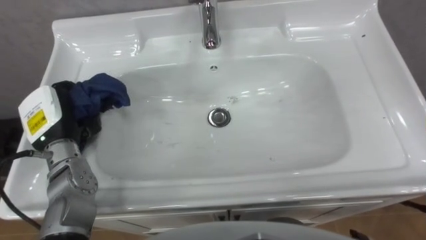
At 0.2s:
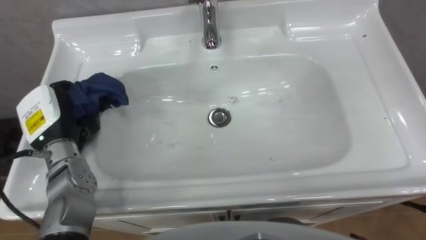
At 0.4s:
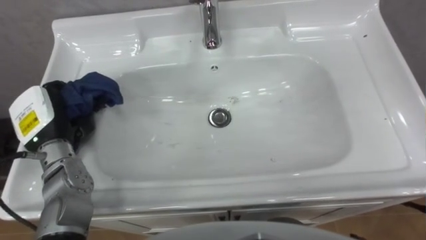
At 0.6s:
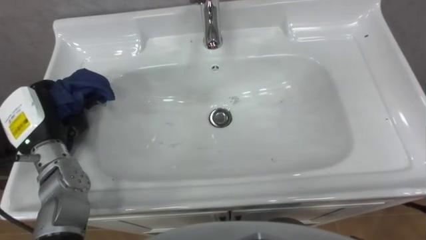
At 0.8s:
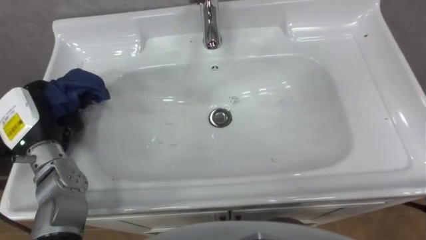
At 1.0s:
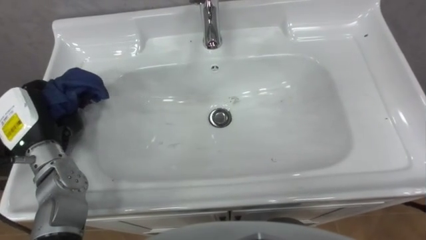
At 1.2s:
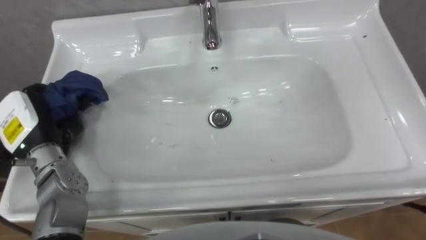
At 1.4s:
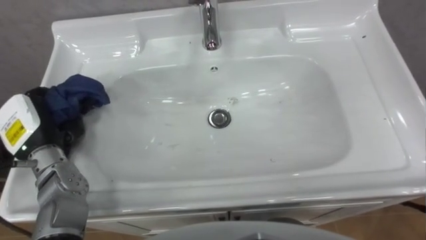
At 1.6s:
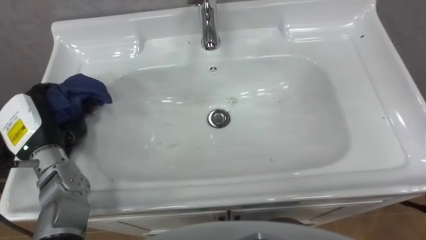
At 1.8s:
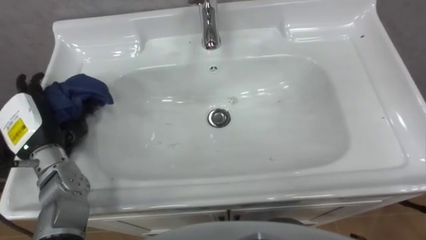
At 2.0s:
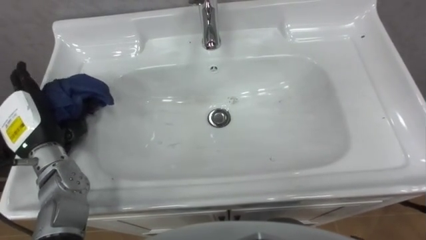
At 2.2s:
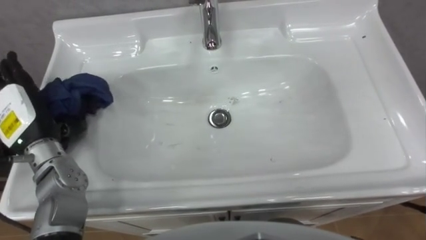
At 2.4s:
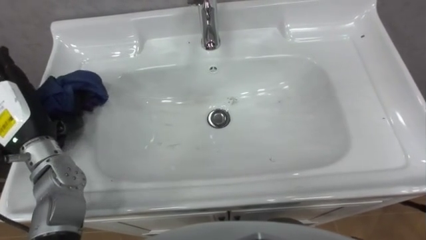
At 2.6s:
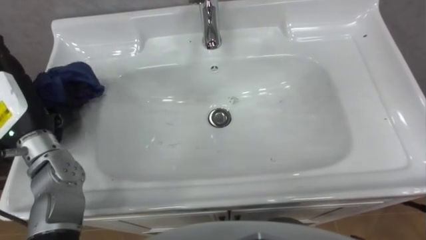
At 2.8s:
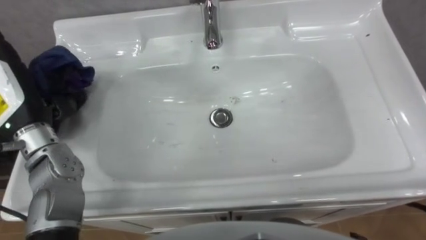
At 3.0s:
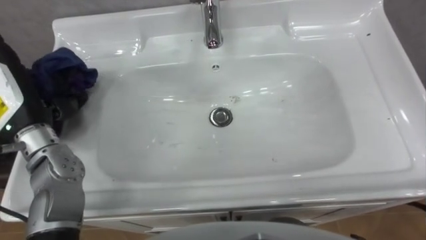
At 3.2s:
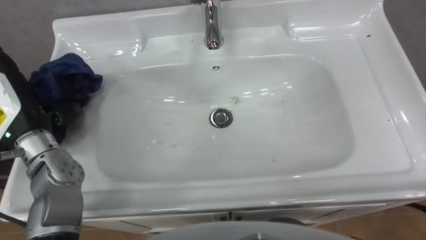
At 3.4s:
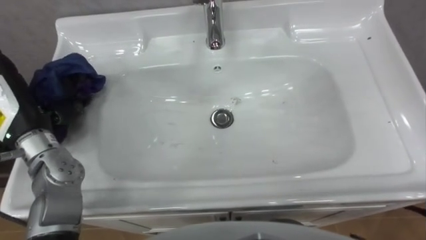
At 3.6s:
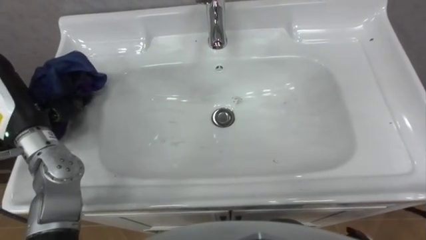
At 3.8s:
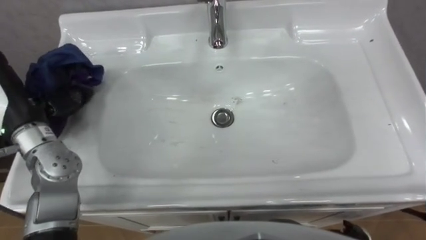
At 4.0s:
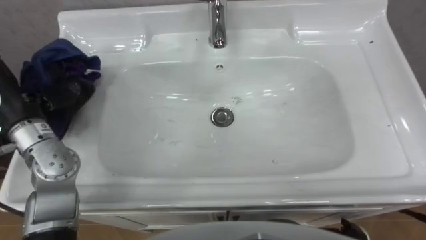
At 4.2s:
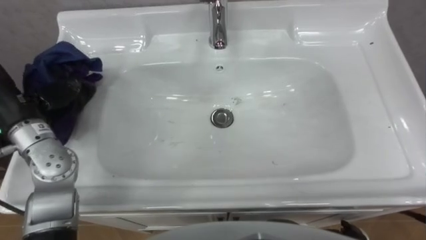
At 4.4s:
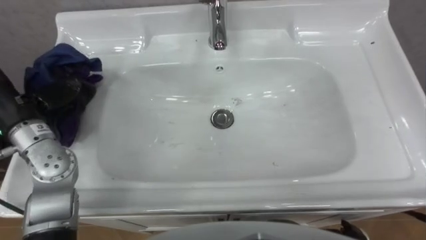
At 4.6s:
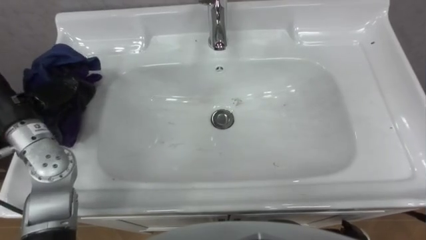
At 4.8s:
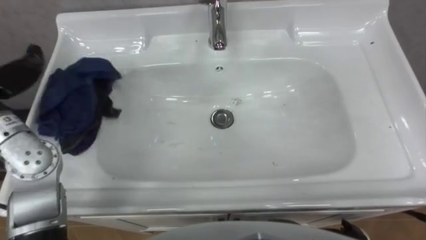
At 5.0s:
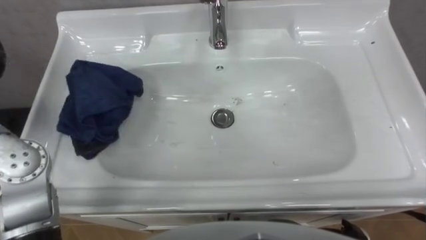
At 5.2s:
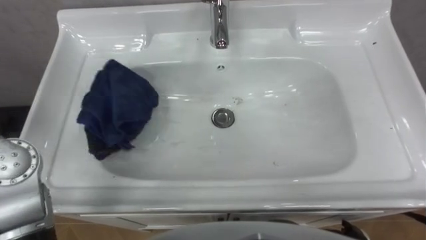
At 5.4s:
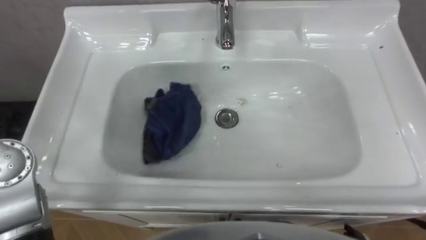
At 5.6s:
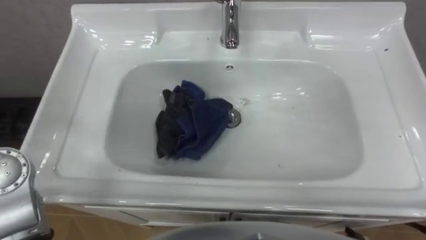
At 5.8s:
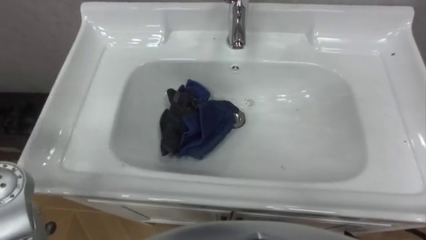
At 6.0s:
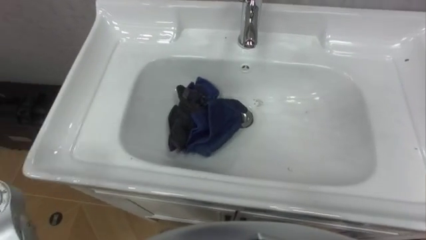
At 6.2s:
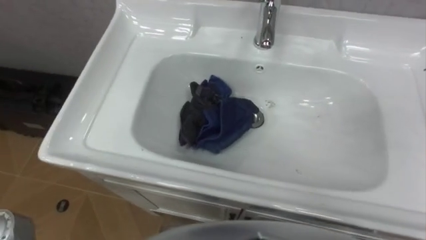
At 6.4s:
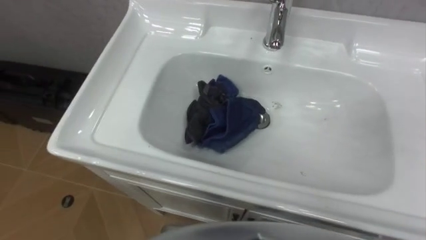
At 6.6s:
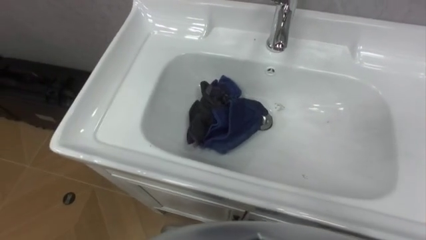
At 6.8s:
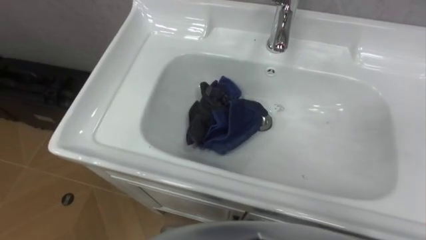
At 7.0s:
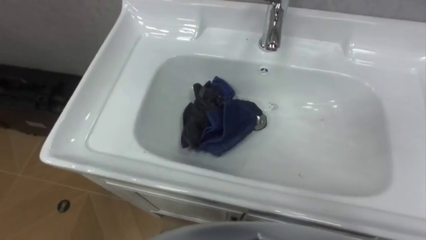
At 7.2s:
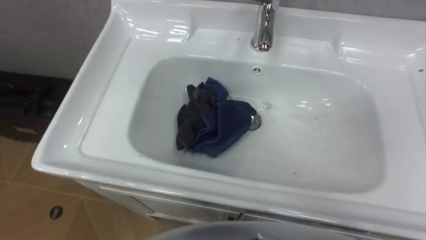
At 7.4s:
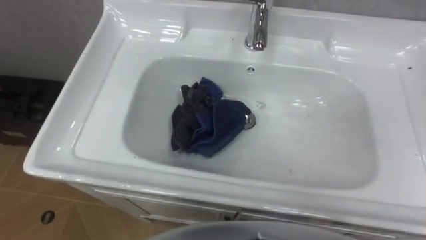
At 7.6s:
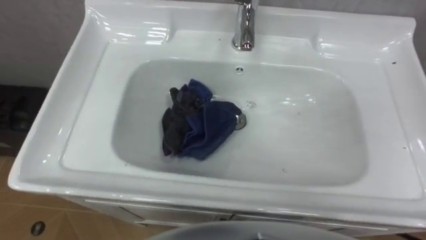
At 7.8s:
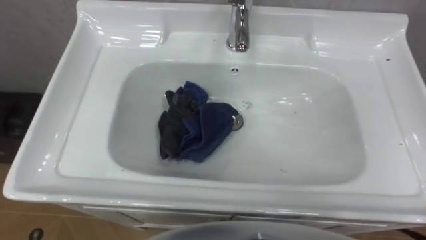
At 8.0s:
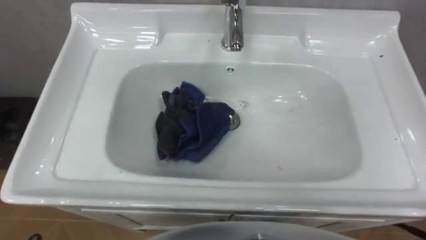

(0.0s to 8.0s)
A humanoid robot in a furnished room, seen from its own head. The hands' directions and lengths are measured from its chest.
Task of the whole recording: Use the cloth on the right to wipe away the black stain in the sink.
0.0s - 1.6s: The left hand opens its fingers.
1.6s - 3.2s: The left hand shifts approximately 5 cm upward, and opens.

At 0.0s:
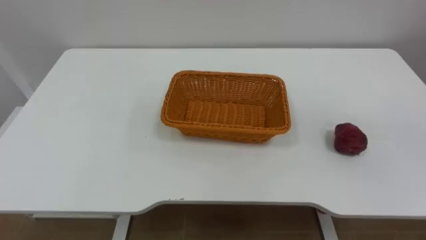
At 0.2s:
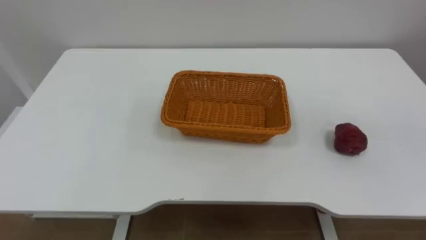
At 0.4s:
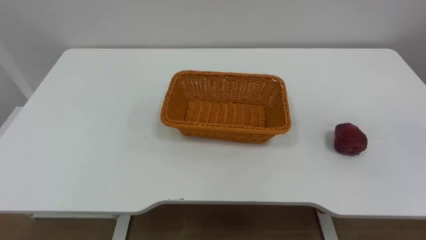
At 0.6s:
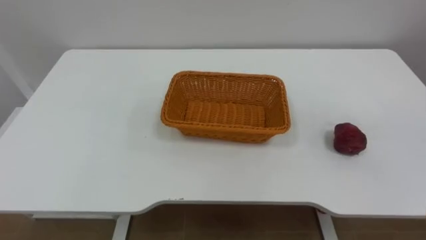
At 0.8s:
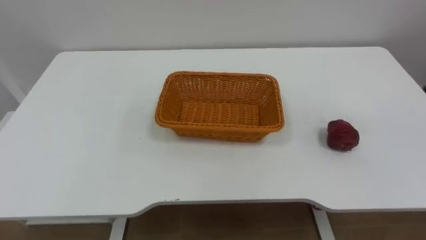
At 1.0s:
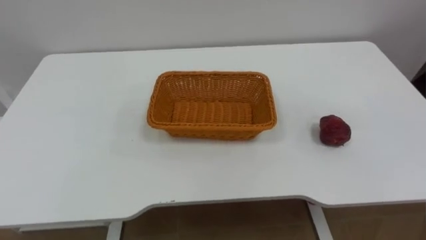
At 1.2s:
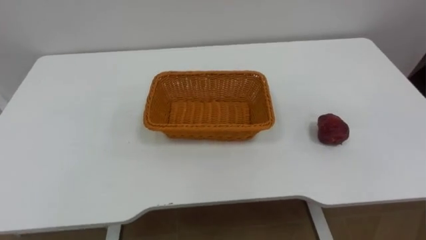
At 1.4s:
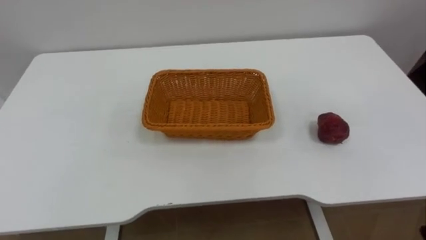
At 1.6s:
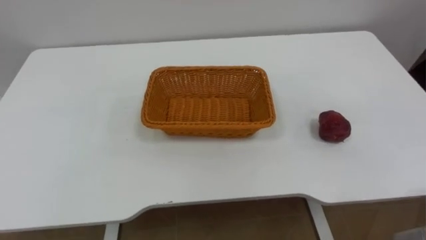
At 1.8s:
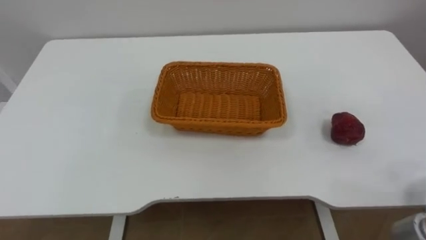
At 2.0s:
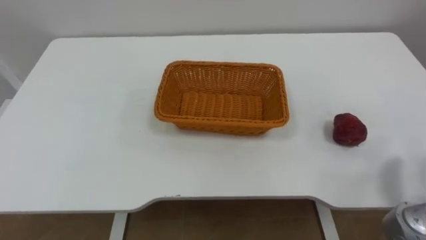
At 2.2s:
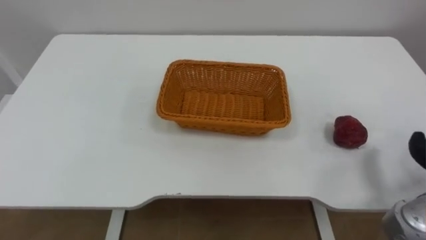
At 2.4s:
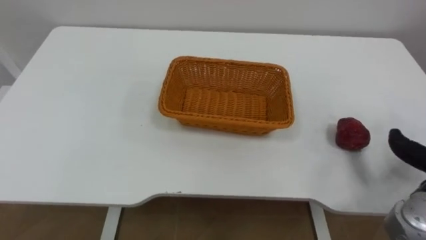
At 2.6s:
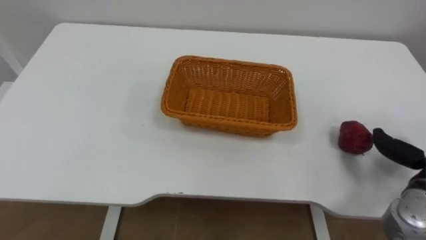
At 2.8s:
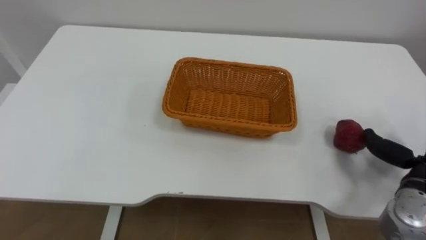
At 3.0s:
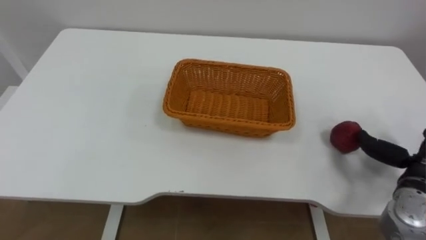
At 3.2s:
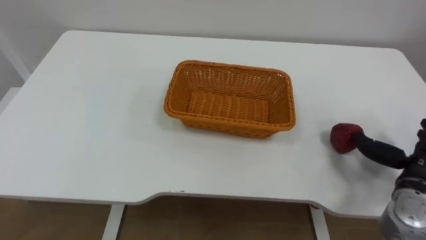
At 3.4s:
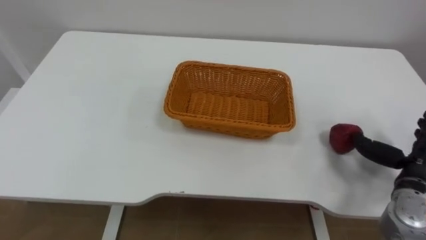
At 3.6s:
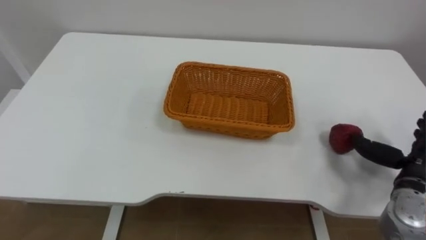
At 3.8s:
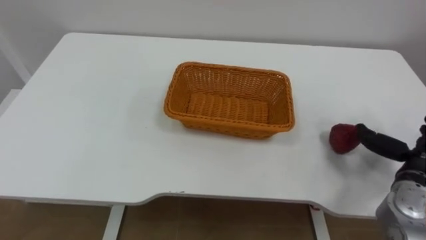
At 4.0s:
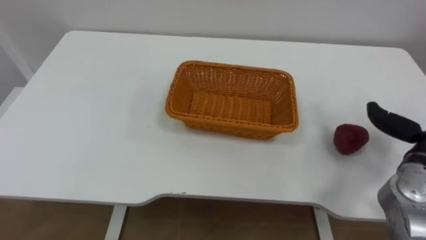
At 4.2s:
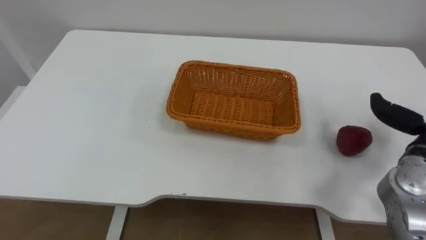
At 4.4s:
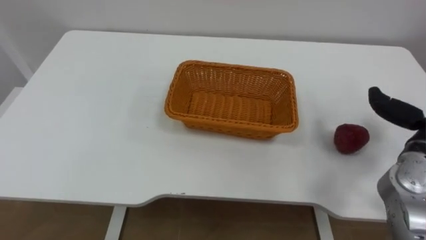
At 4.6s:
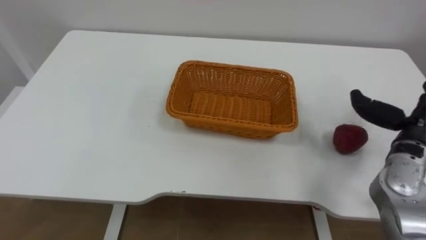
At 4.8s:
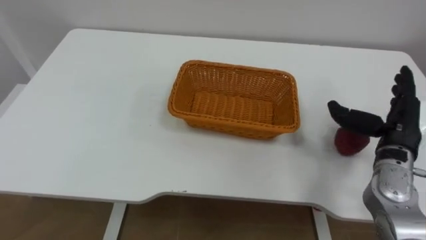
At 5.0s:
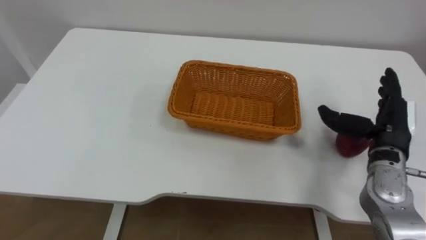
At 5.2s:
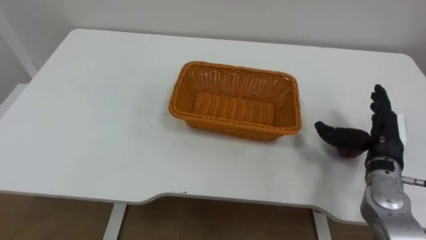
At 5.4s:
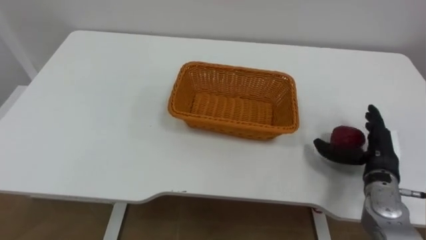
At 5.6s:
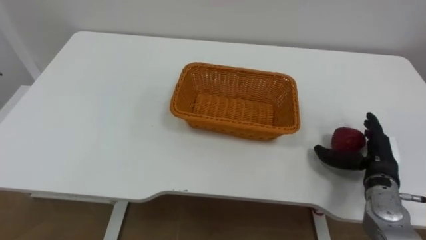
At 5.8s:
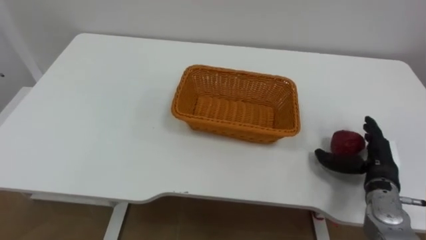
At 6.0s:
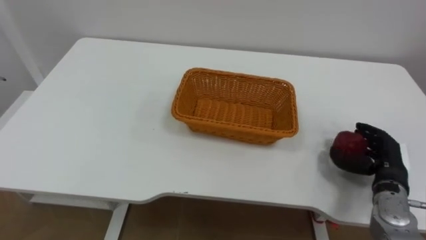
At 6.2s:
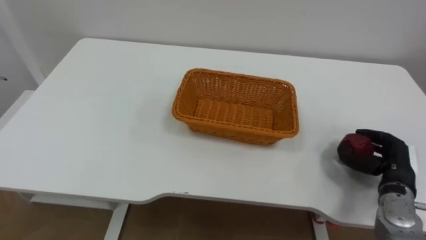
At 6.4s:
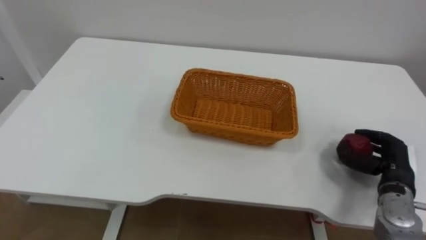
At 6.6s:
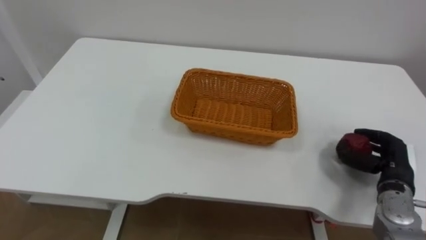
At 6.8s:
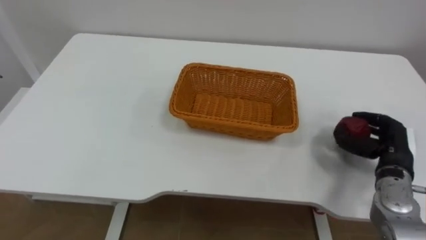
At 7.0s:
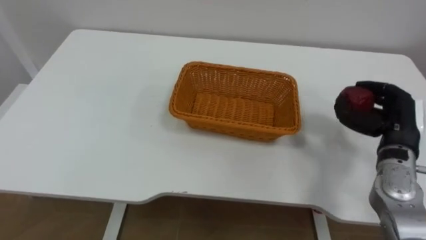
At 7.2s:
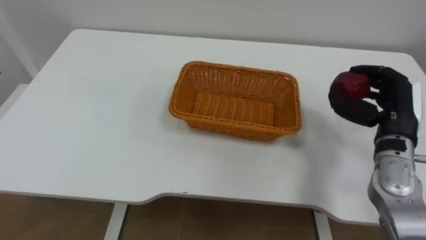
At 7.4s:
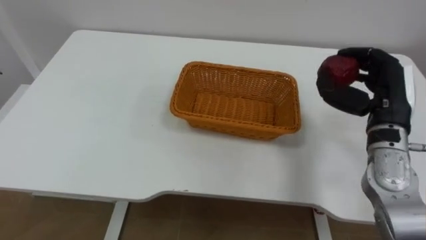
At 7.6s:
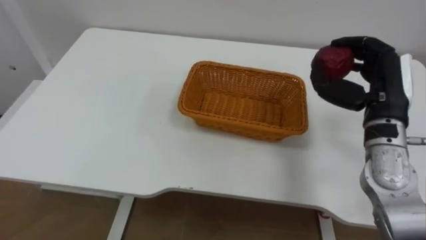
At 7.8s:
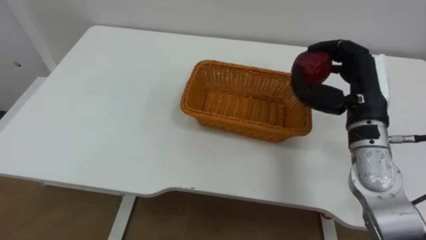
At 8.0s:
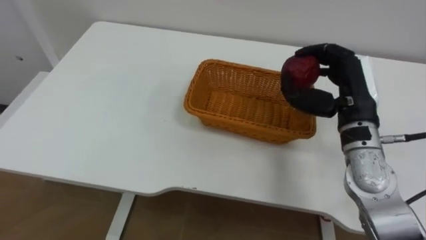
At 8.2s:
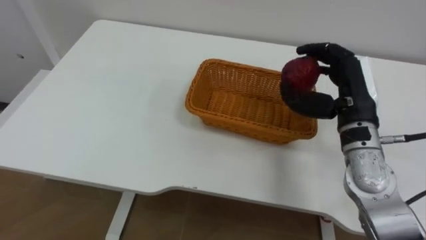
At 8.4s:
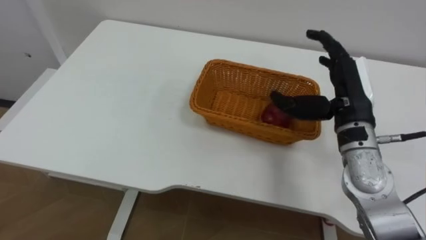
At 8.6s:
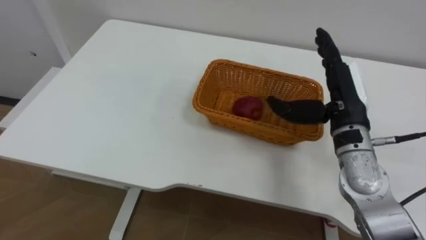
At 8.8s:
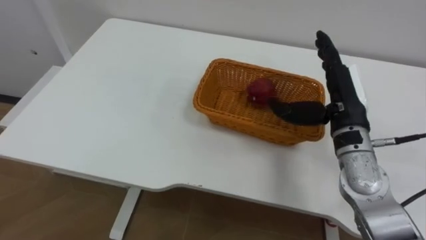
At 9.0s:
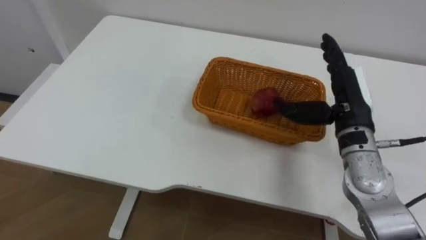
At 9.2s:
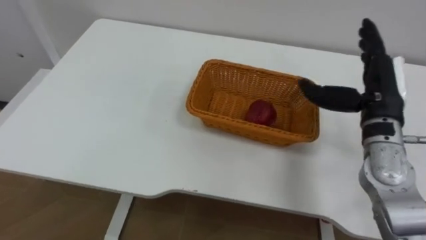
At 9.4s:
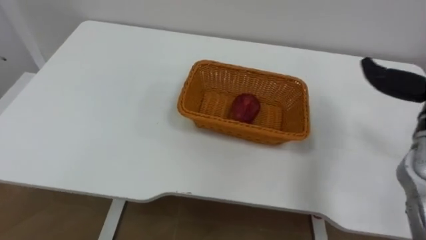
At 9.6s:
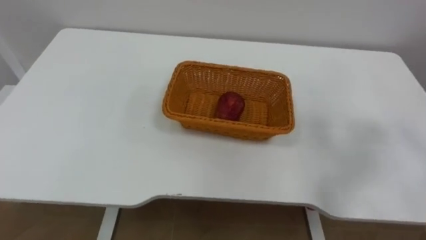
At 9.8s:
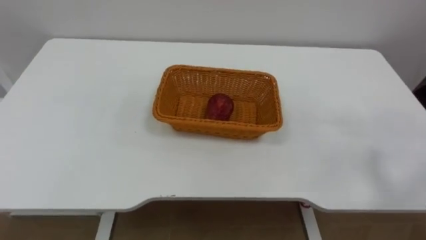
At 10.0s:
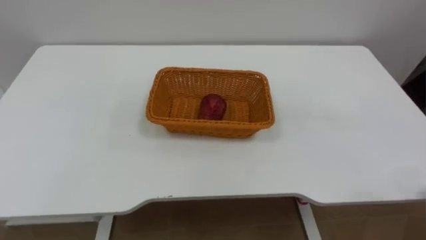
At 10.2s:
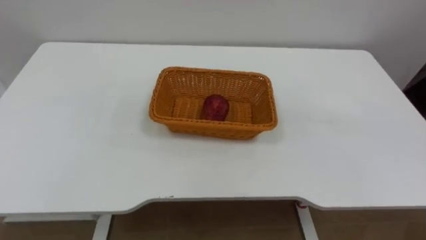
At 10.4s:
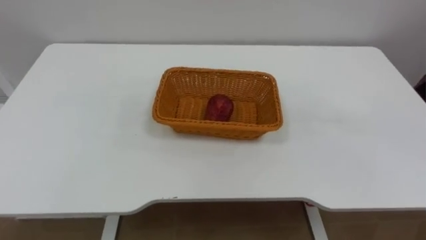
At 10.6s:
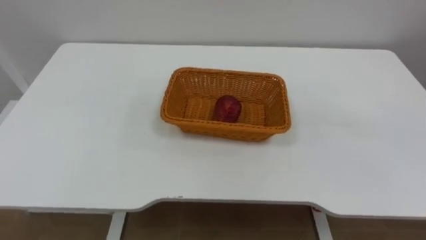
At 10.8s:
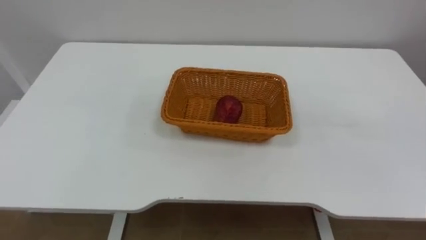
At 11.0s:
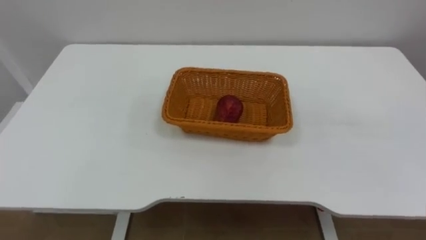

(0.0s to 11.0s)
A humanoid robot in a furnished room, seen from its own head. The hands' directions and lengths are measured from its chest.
Task of the whole recording: Pick the apple and place it in the box.
4.8s - 6.2s: The right hand heads downward, covering approximately 10 cm, and closes.
6.2s - 7.8s: The right hand heads upward and to the left, covering approximately 20 cm.
